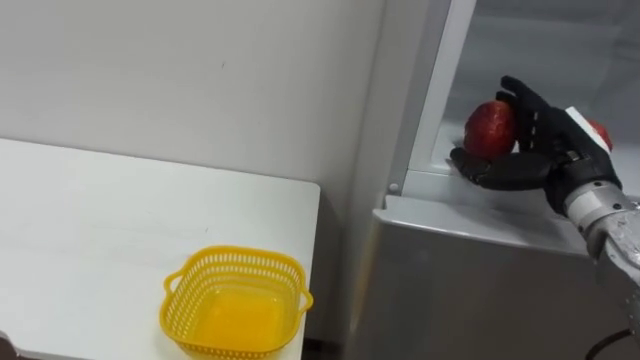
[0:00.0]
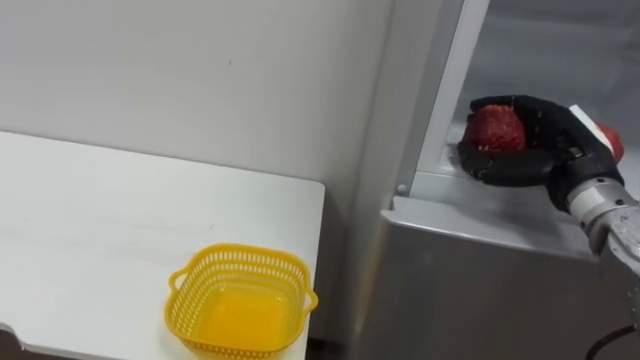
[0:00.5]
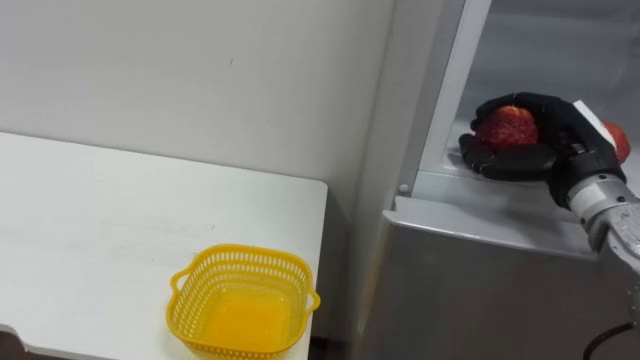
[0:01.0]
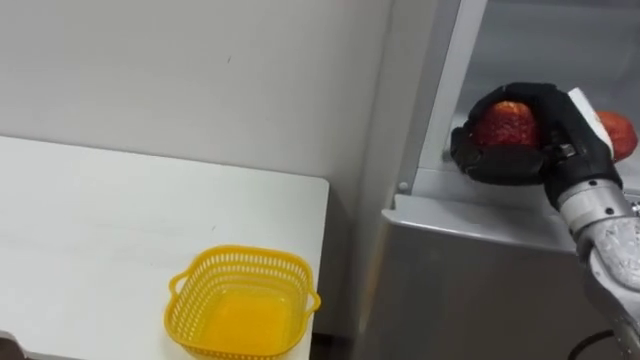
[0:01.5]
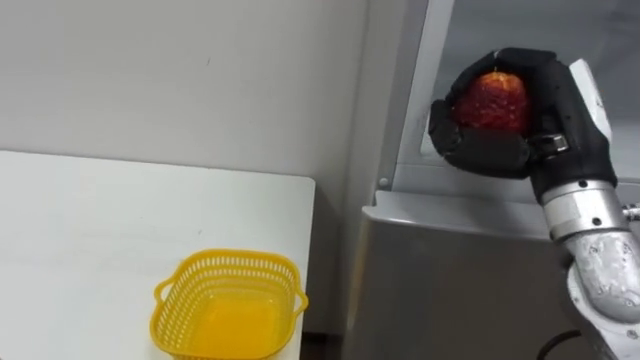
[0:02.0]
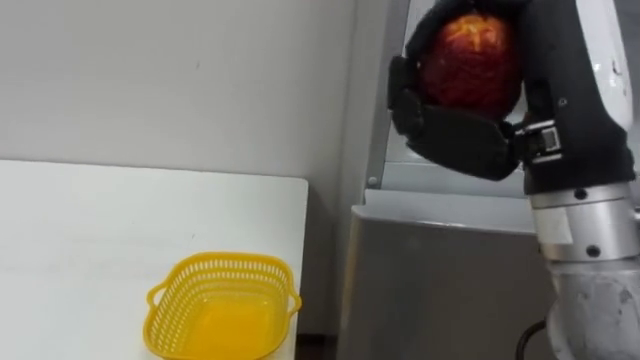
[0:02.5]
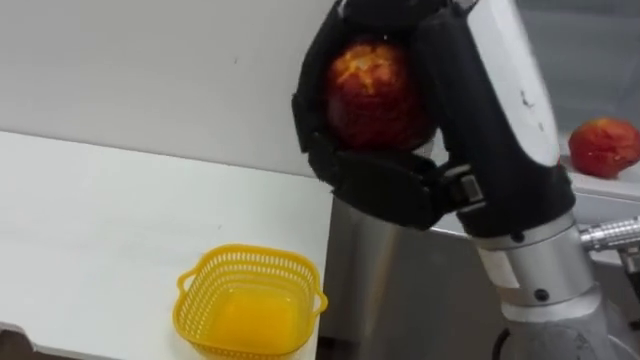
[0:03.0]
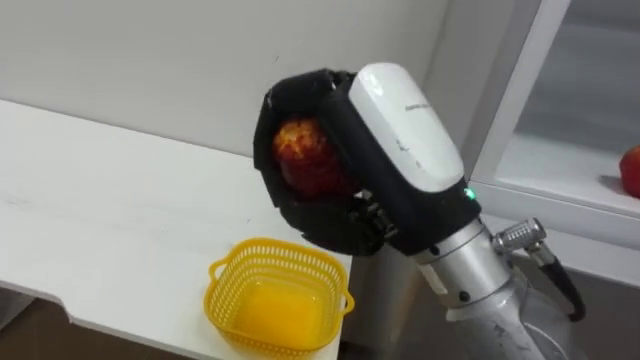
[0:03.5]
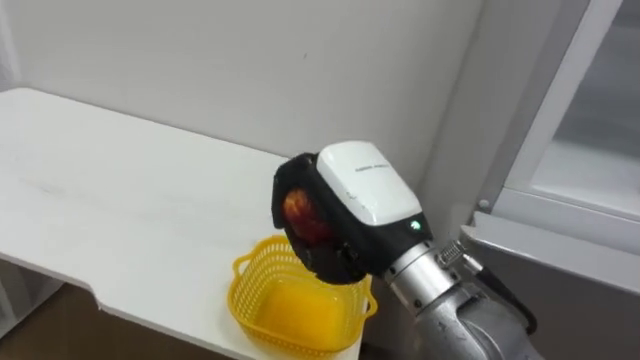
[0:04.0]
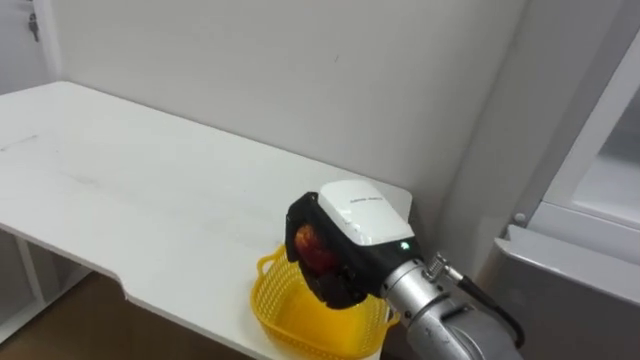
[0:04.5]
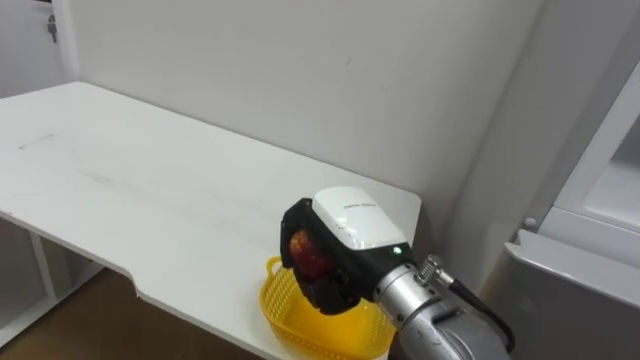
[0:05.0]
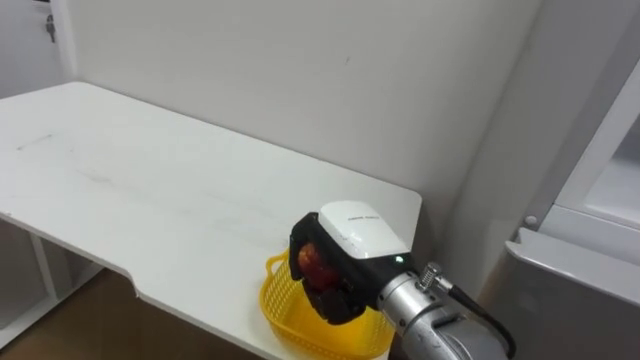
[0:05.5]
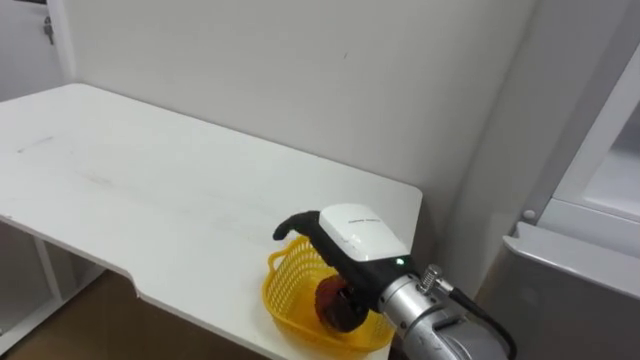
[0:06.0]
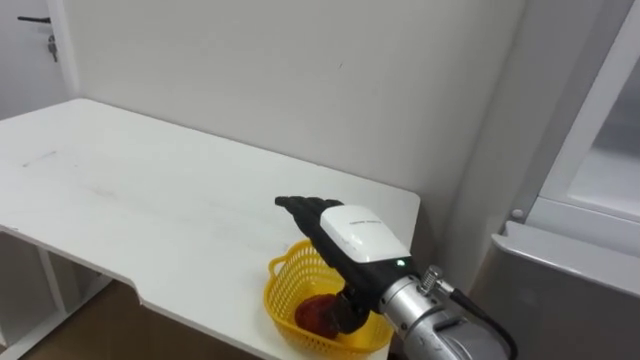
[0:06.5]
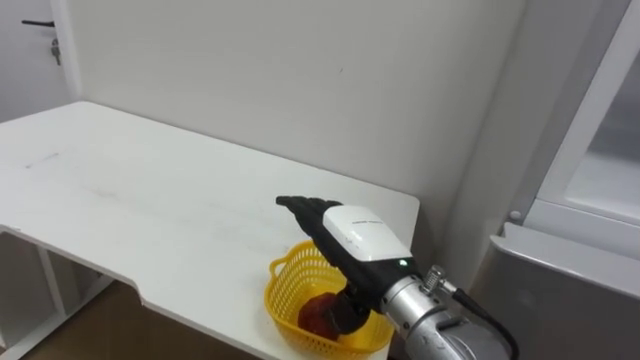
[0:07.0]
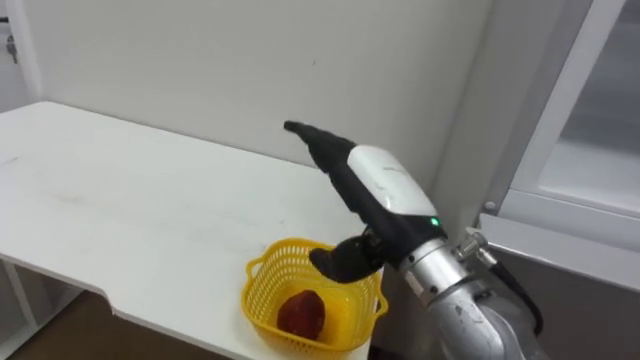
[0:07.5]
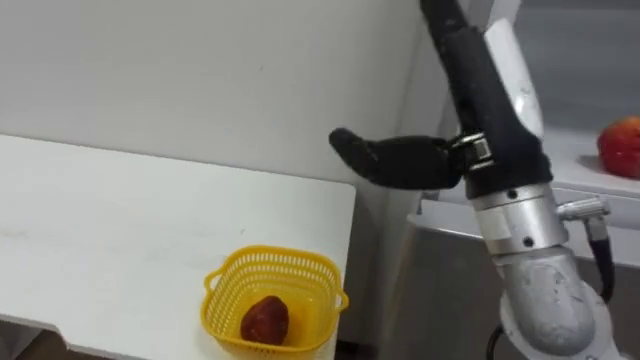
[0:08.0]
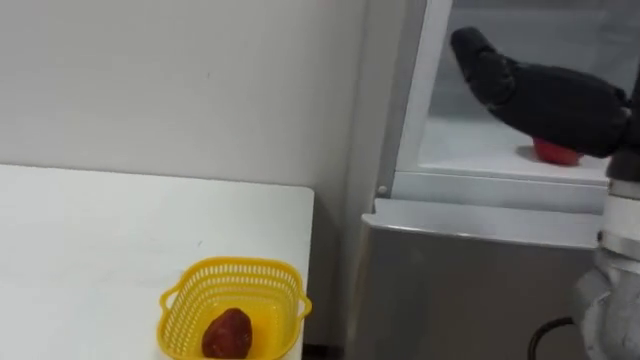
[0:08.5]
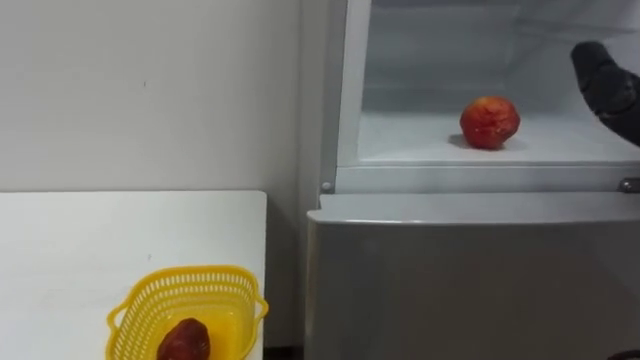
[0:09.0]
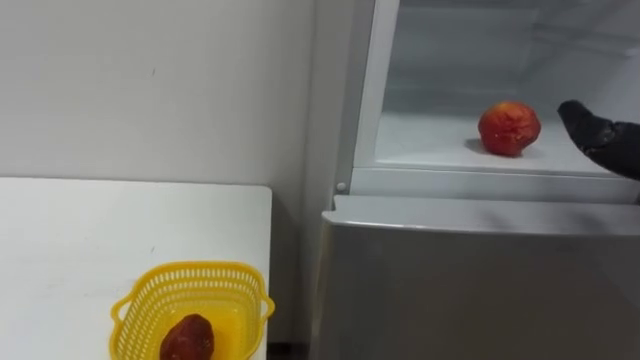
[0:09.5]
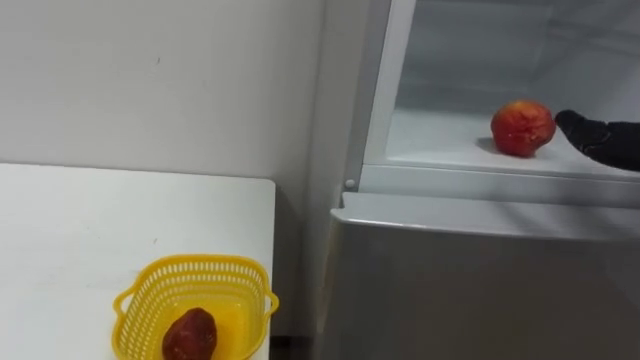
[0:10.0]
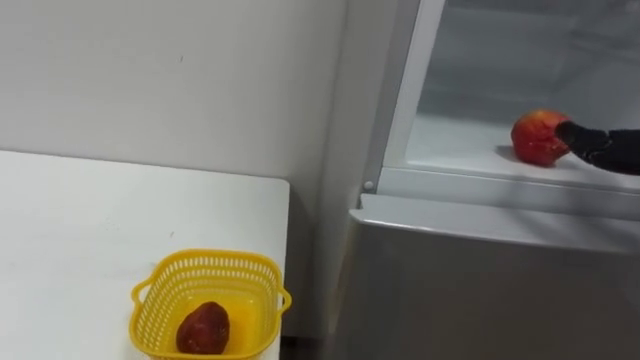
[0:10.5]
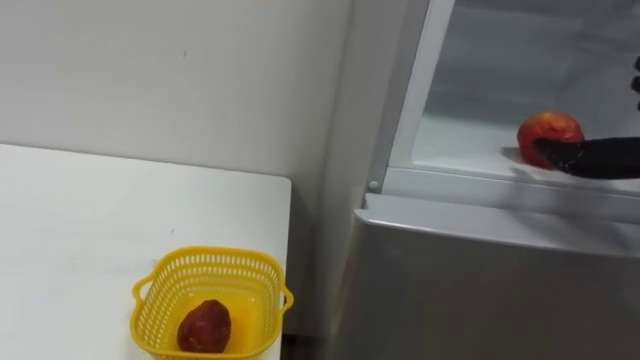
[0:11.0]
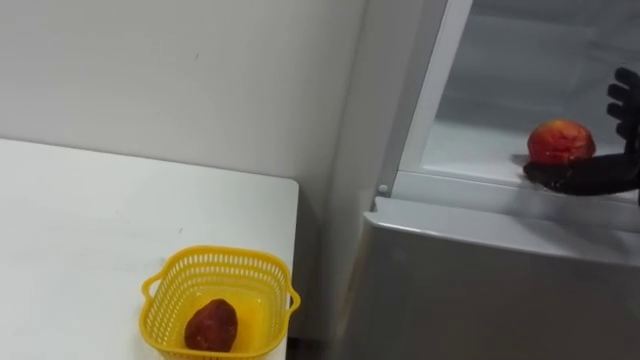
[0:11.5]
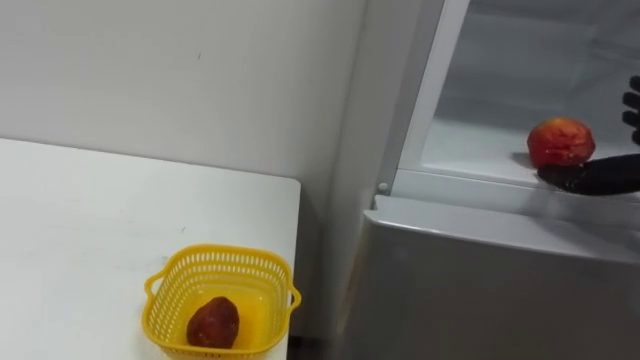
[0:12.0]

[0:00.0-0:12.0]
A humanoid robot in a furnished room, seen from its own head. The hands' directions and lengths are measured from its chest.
Task of the whole recording: Open the refrigerator door, take out the apple and the pomegranate, place them in the fruit basket on the left, and close the refrigerator door.
0:00.0 to 0:02.0: The right hand shifts roughly 10 cm backward, upward and to the left, and closes its fingers.
0:02.0 to 0:04.0: The right hand goes roughly 15 cm to the left.
0:04.0 to 0:06.0: The right hand travels downward by some 10 cm, and opens up.
0:06.0 to 0:08.0: The right hand travels upward and to the right by about 20 cm.

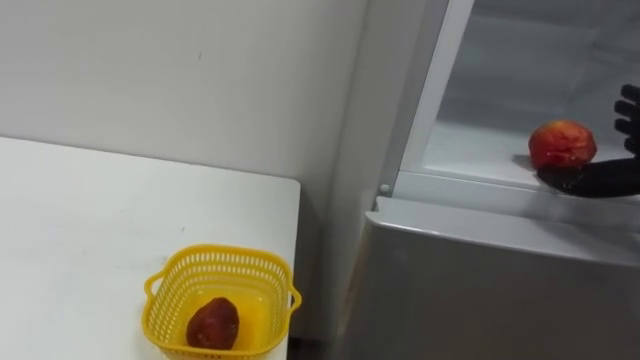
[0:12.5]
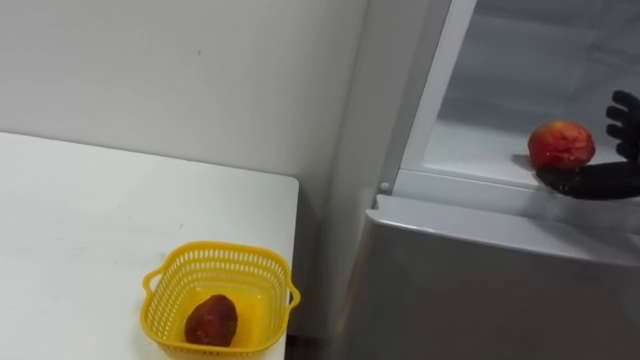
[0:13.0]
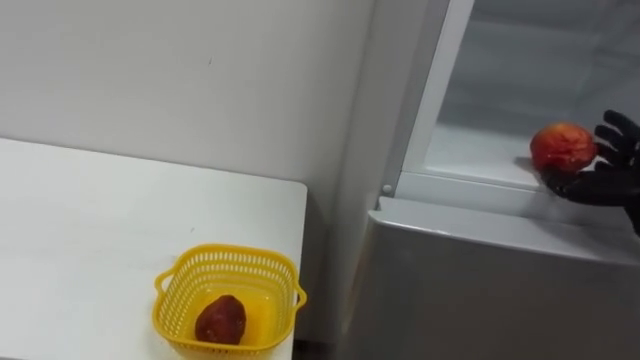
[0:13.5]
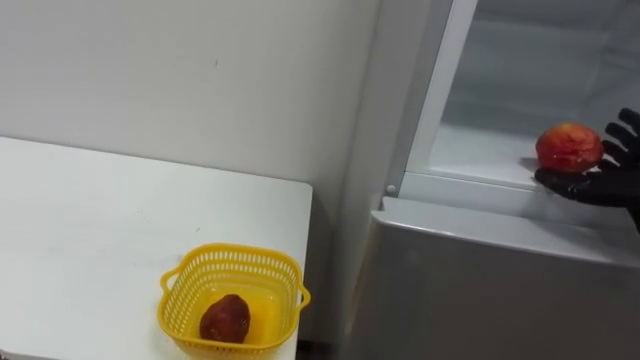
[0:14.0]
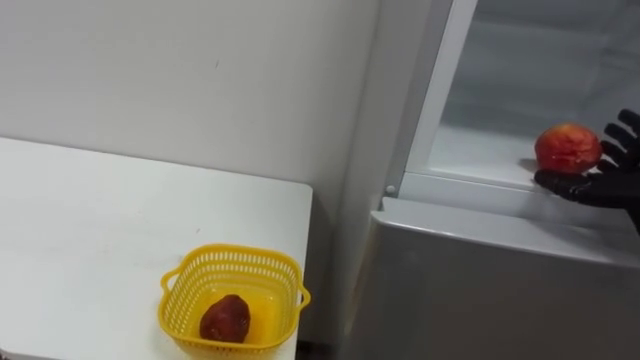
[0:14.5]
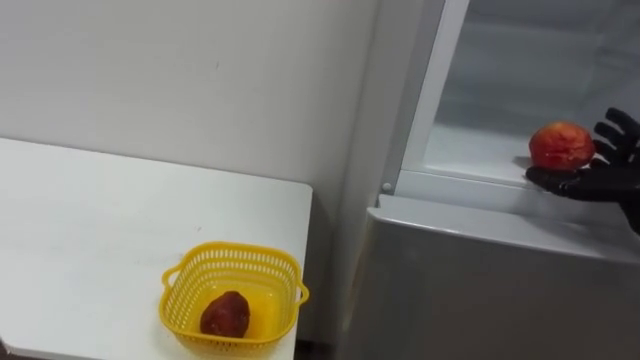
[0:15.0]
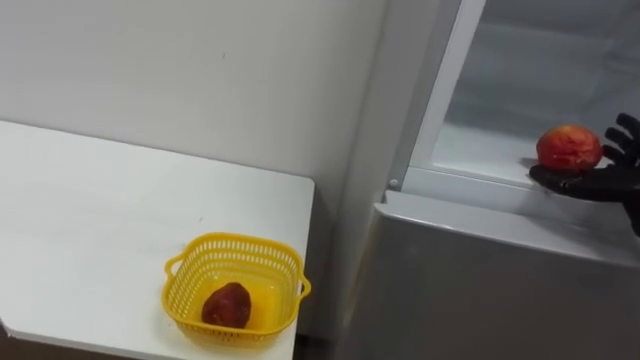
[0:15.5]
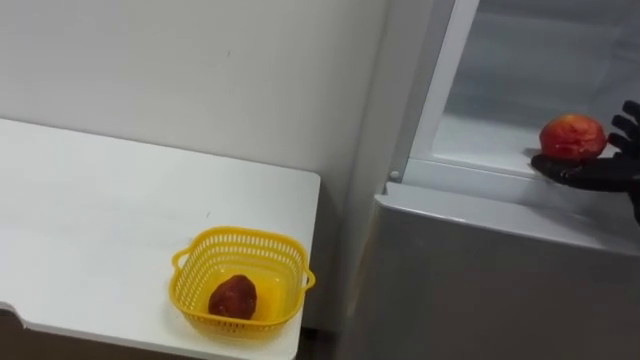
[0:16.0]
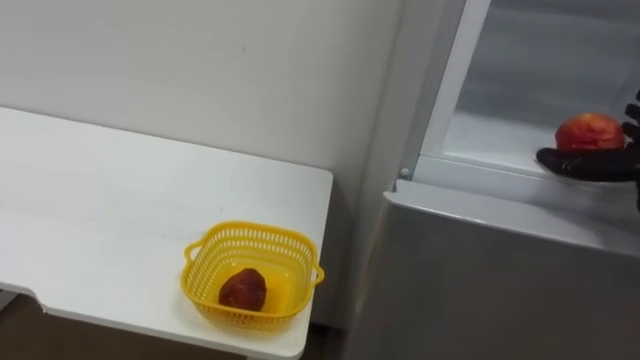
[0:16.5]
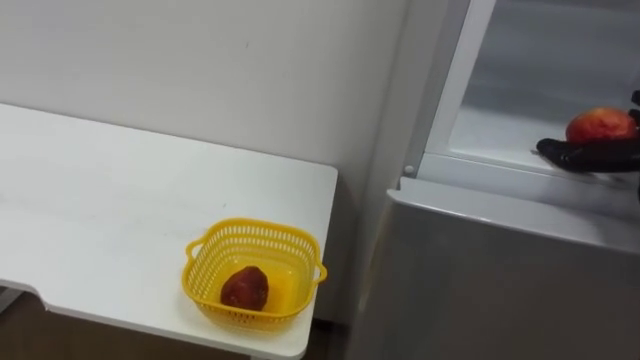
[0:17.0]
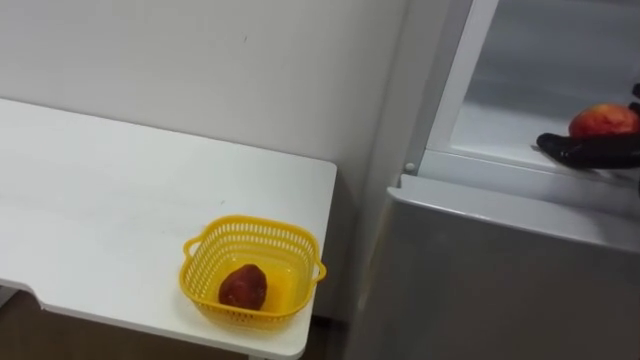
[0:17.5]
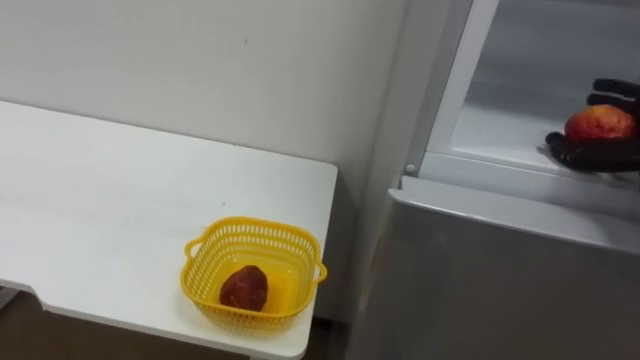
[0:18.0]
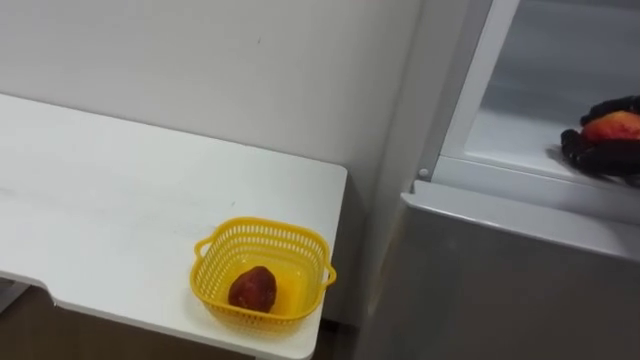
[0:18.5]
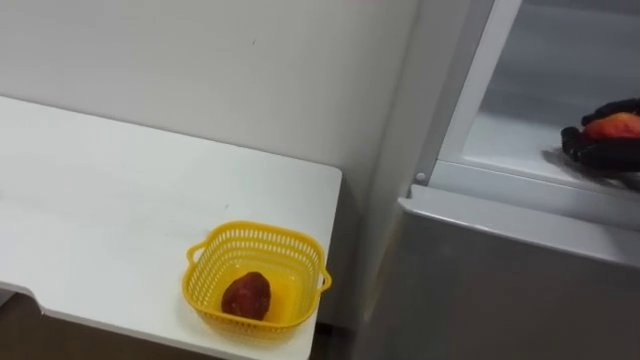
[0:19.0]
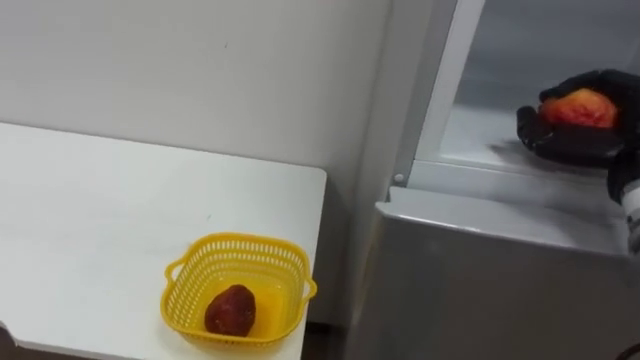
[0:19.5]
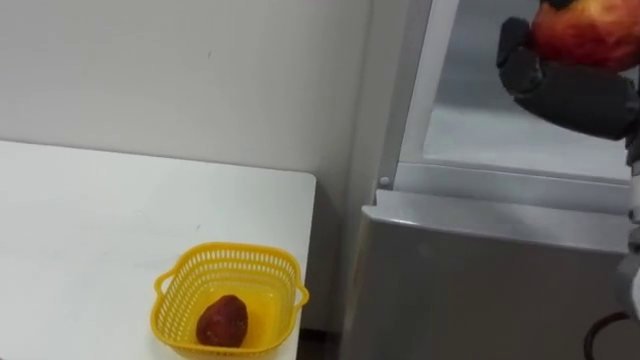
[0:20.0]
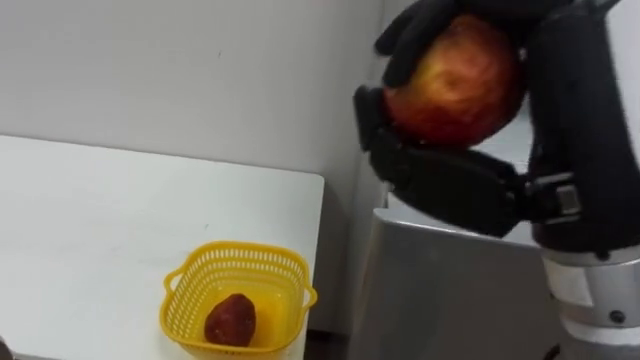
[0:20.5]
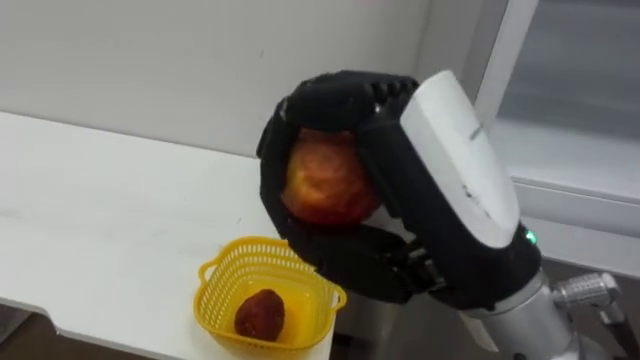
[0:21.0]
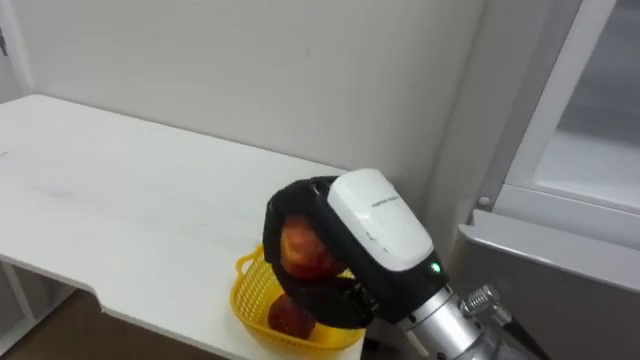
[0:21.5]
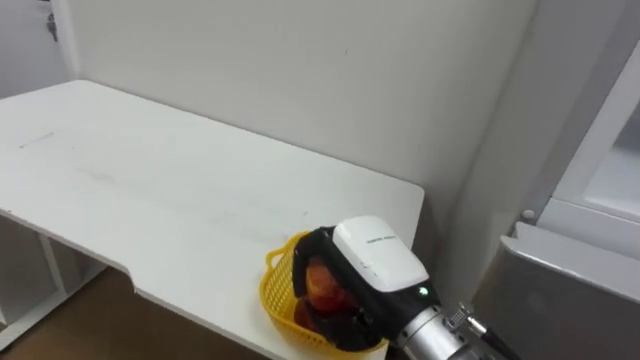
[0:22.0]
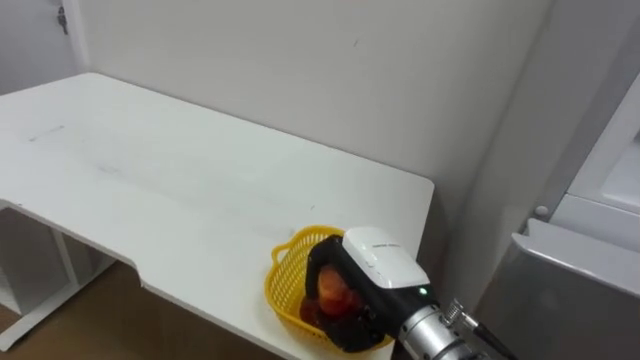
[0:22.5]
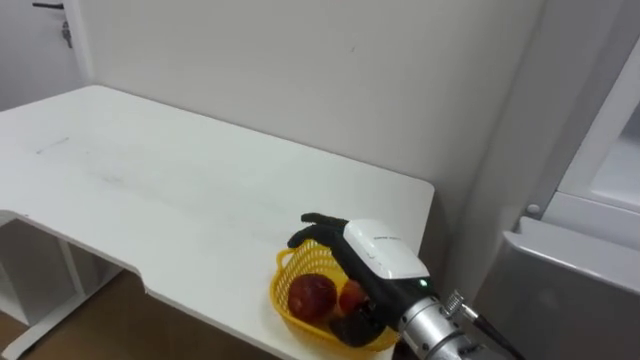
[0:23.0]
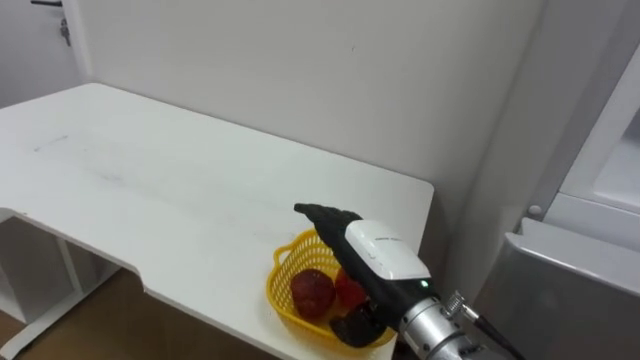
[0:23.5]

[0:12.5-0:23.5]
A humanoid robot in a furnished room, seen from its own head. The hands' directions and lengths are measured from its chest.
Task of the whole recording: Open the refrigerator door, take out the apple and the pomegranate, place them in the fruit basket on the left, and close the refrigerator door.
0:21.5 to 0:23.5: The right hand heads downward and forward, covering approximately 10 cm, and opens up.
